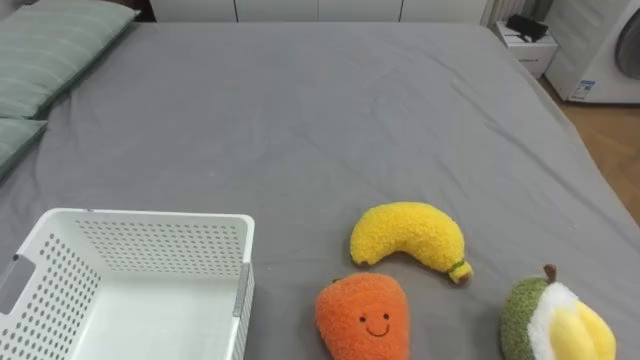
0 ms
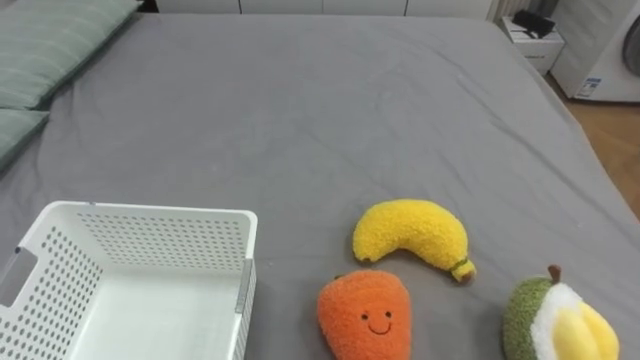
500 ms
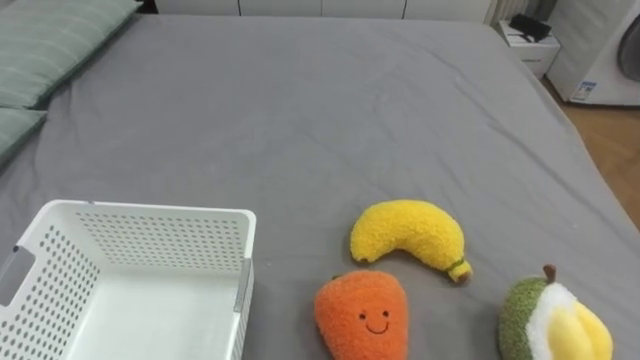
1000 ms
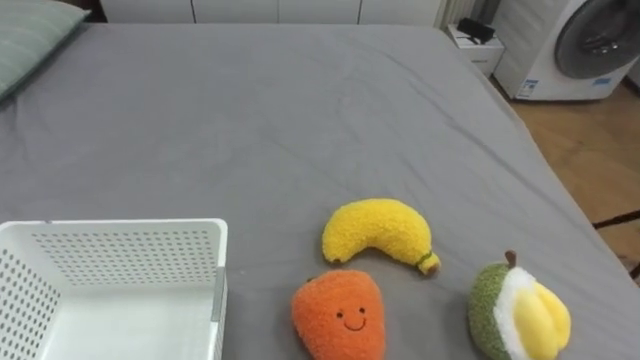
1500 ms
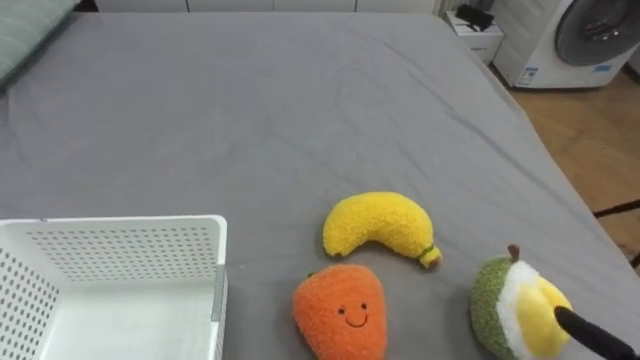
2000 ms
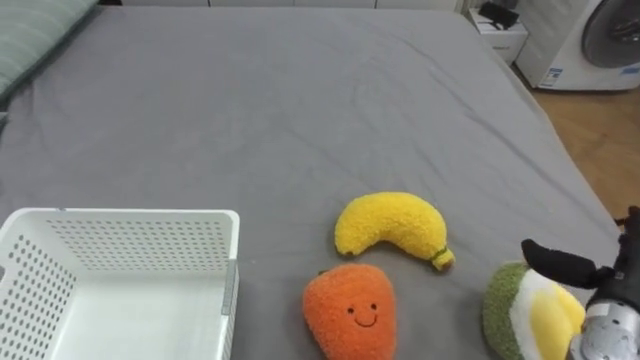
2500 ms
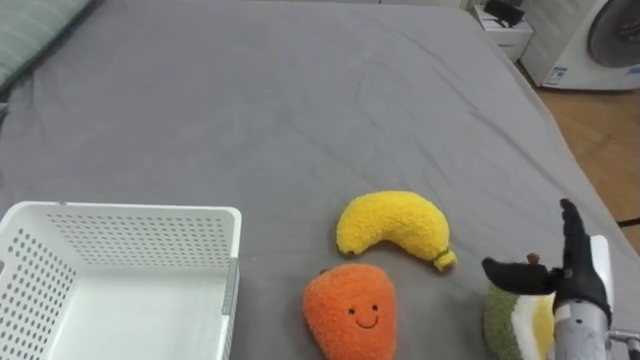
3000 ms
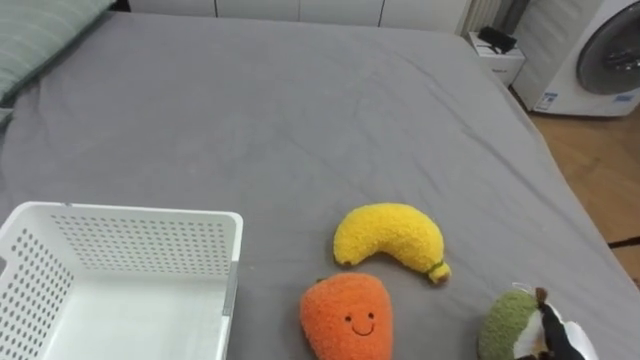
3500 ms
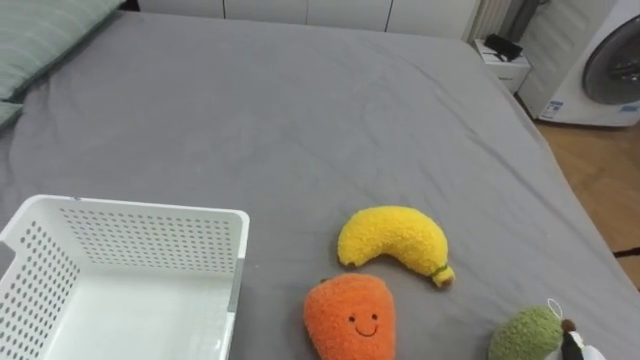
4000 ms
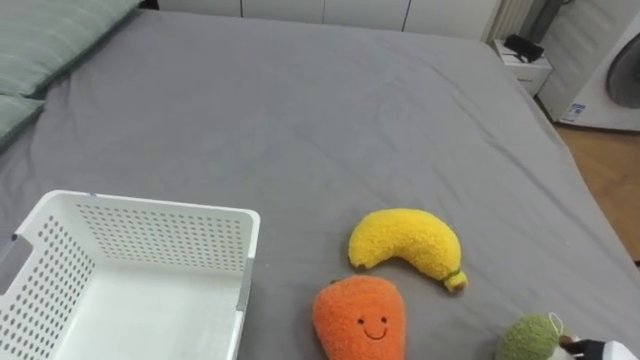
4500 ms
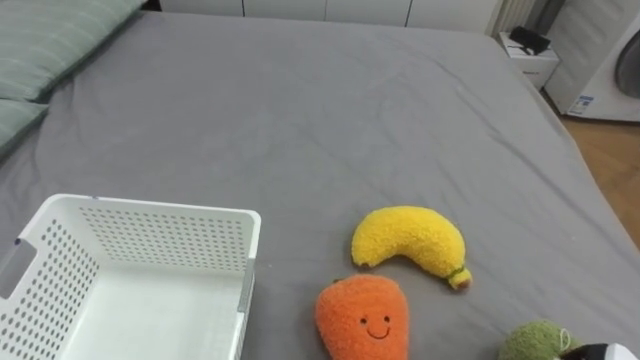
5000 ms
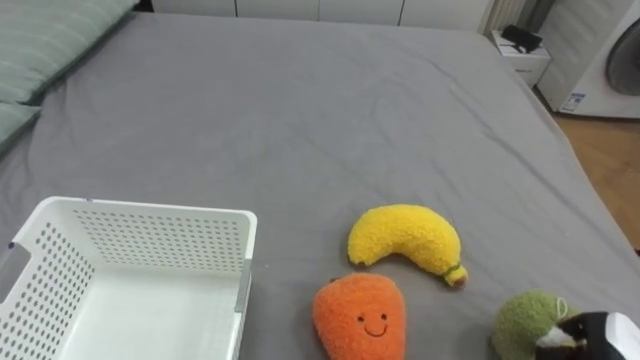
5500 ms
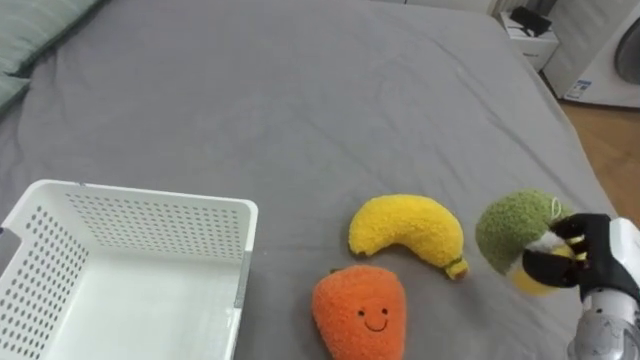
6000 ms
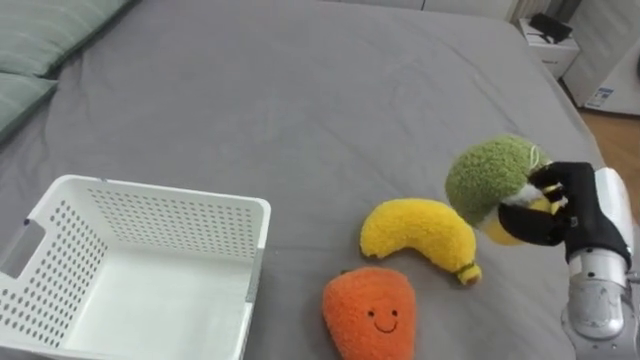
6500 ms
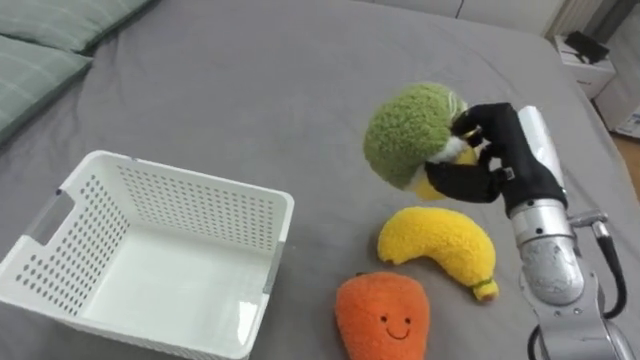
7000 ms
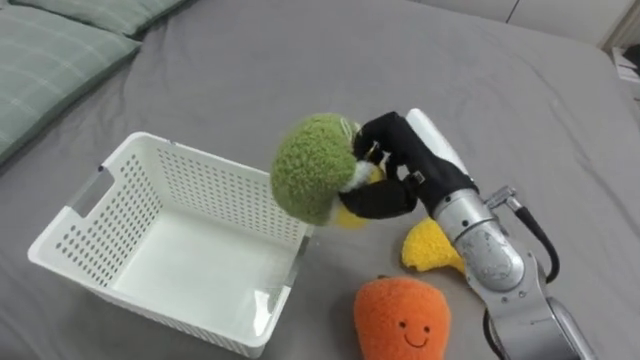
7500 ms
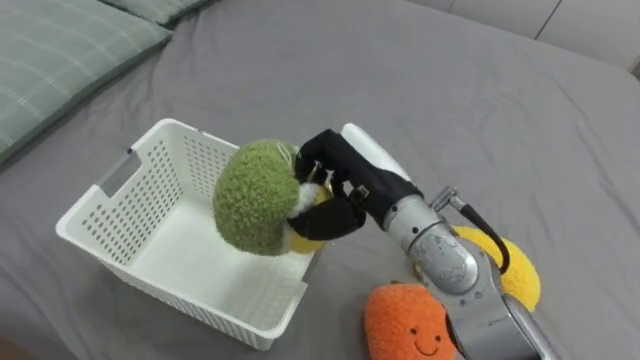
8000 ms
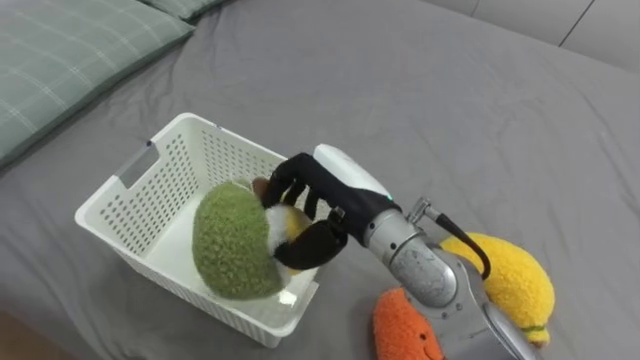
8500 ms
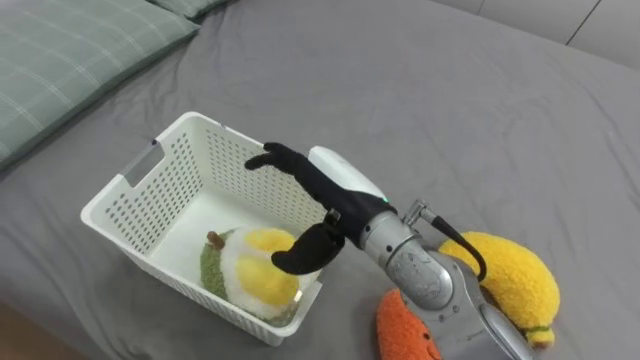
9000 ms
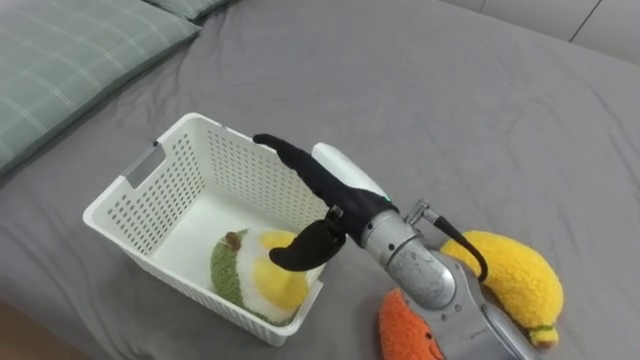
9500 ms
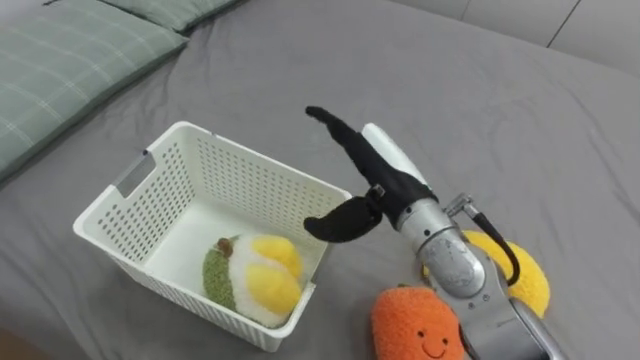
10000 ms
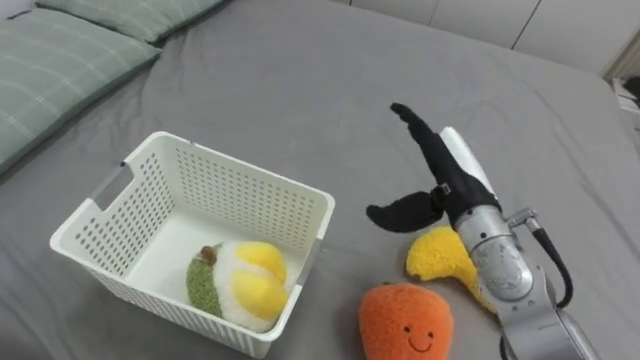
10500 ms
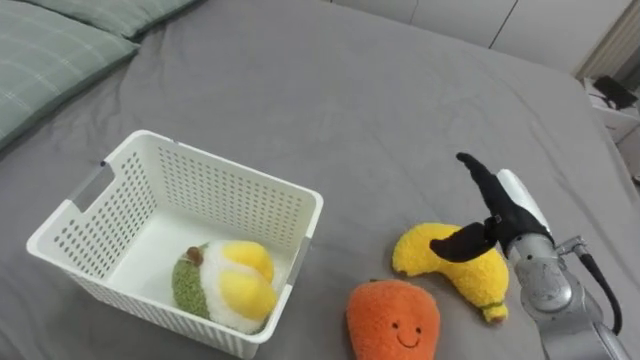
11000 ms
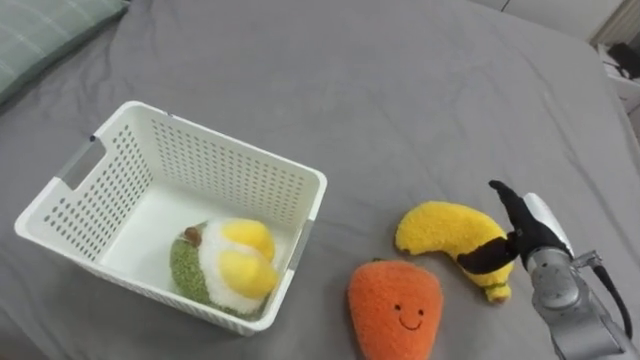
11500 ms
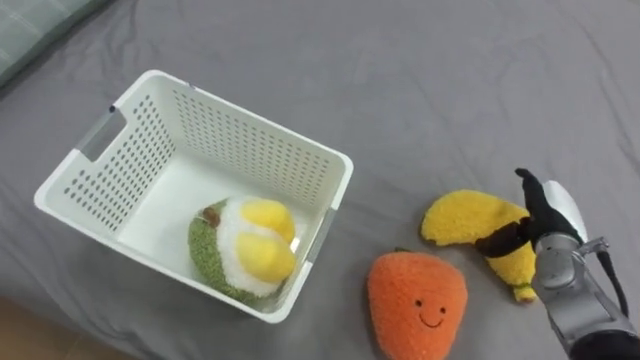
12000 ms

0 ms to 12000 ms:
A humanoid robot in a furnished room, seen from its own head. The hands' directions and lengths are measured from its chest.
Task of the whole recording: Put the toys on the bed into the basket on the left.
6000 ms to 8000 ms: The right hand is displaced to the left and upward by some 30 cm.
8000 ms to 10000 ms: The right hand opens.
10000 ms to 12000 ms: The right hand shifts approximately 25 cm to the right and downward.

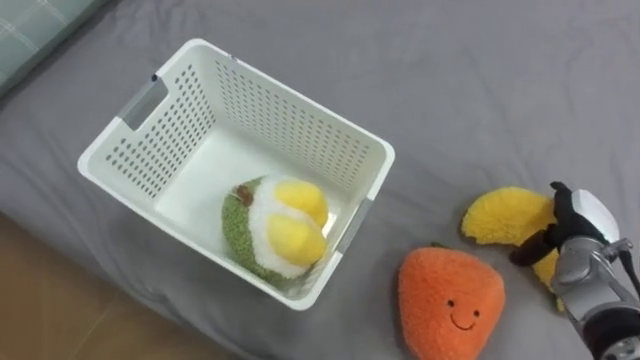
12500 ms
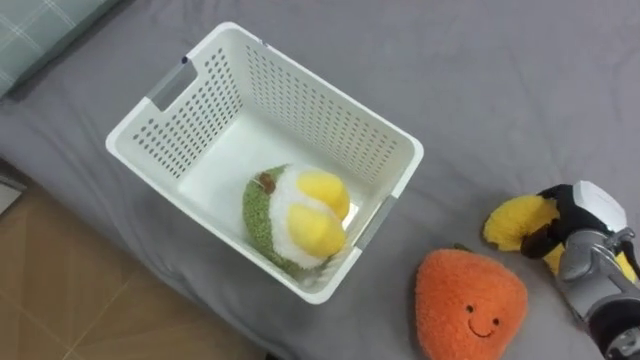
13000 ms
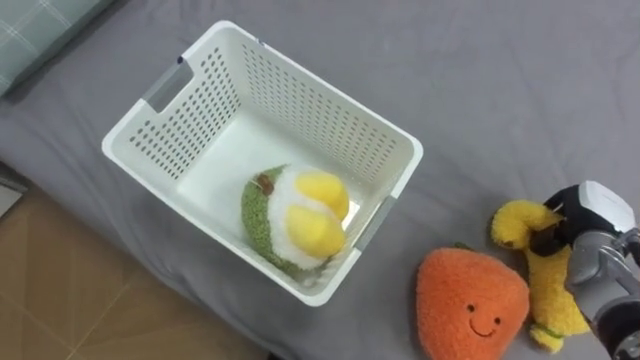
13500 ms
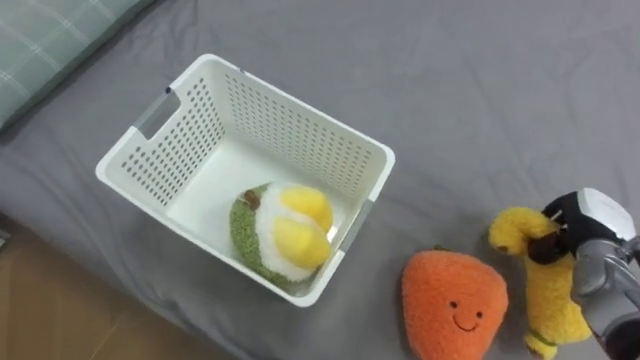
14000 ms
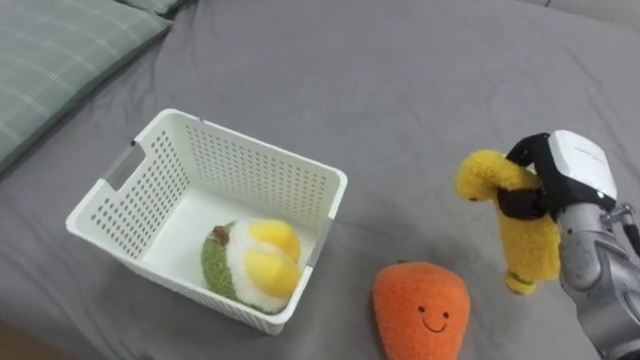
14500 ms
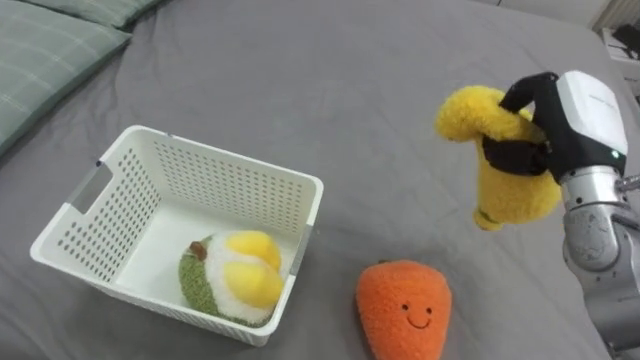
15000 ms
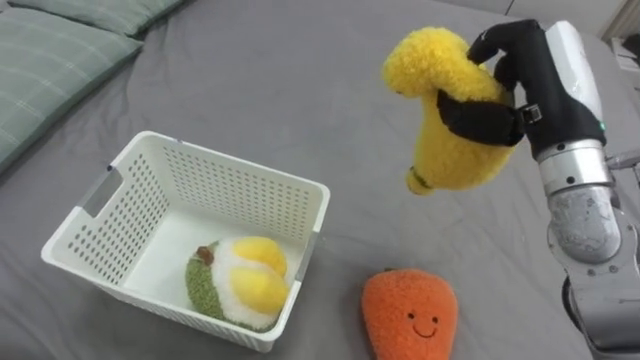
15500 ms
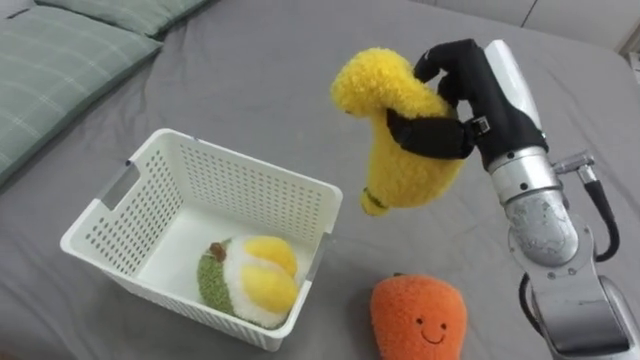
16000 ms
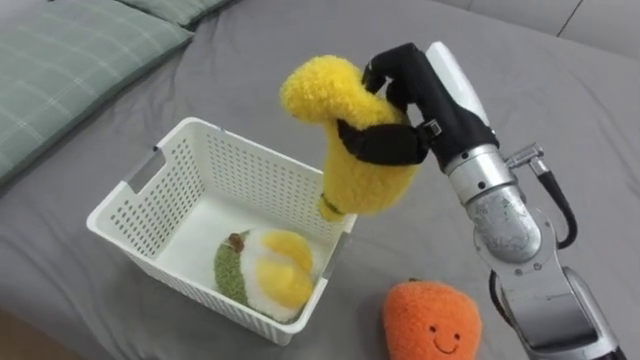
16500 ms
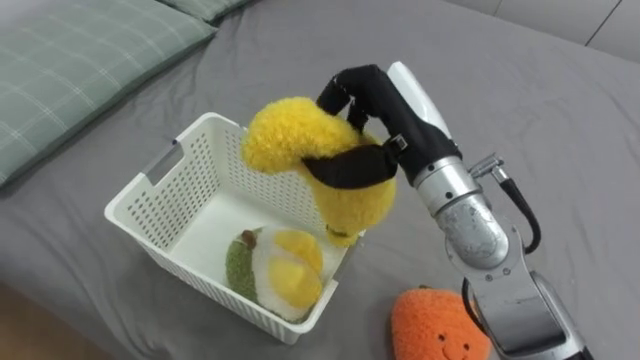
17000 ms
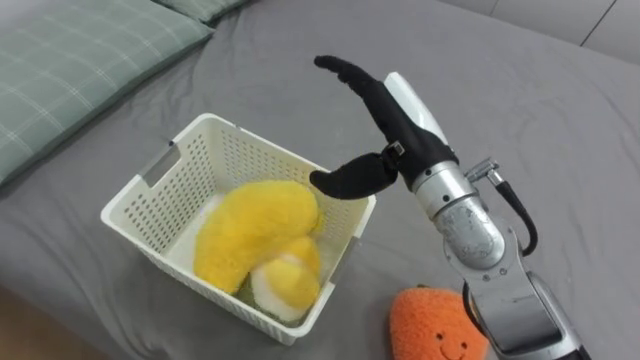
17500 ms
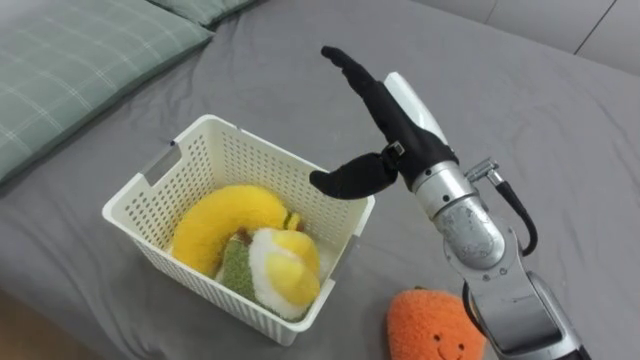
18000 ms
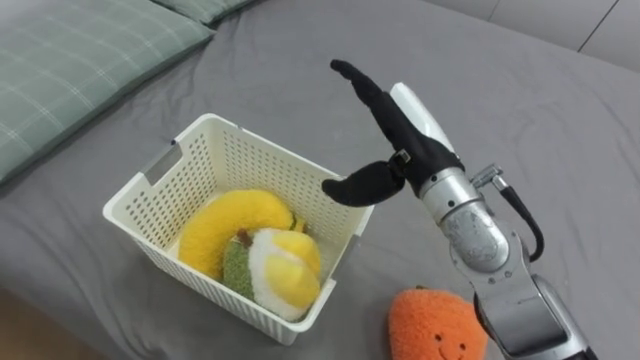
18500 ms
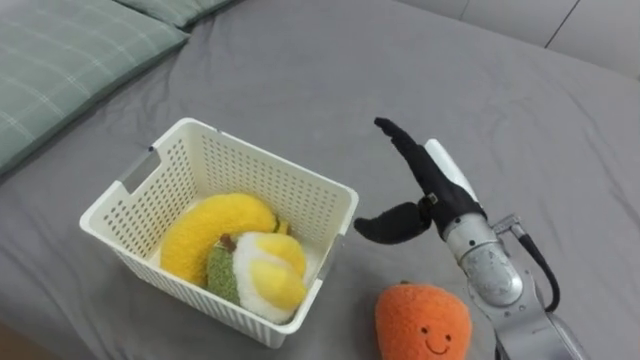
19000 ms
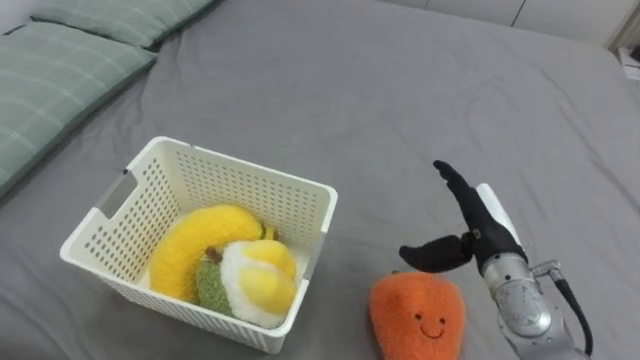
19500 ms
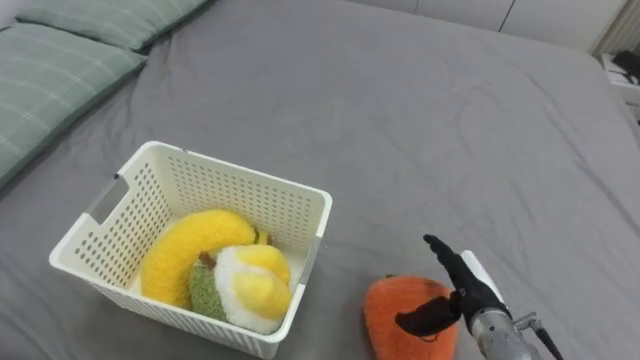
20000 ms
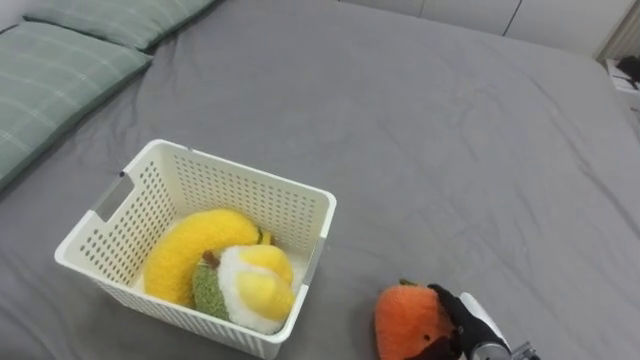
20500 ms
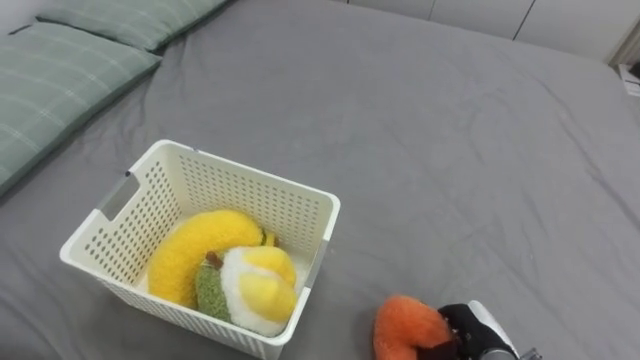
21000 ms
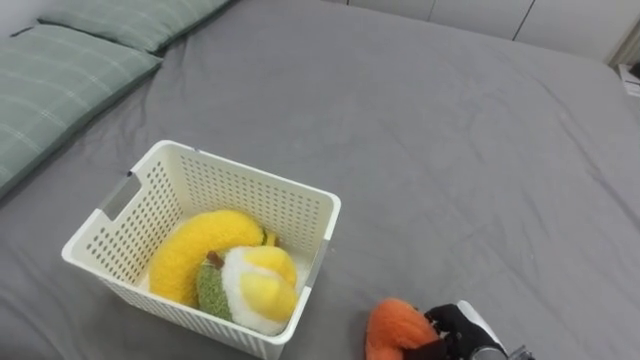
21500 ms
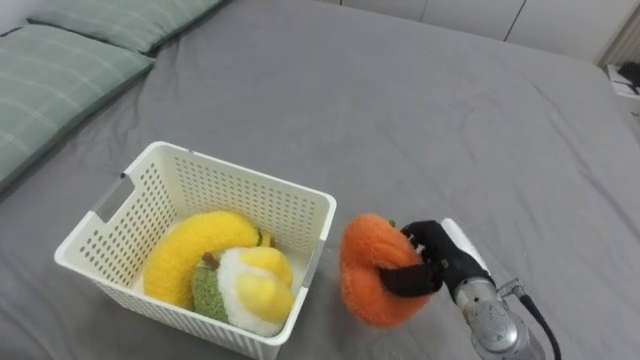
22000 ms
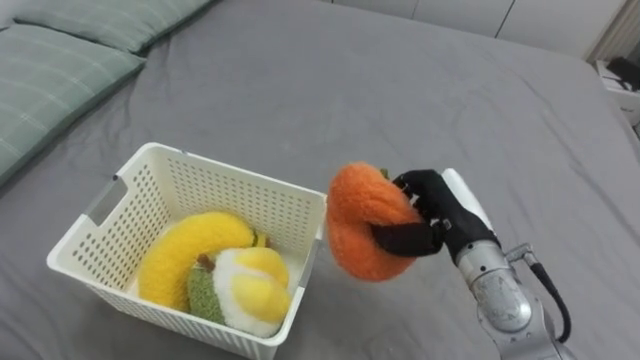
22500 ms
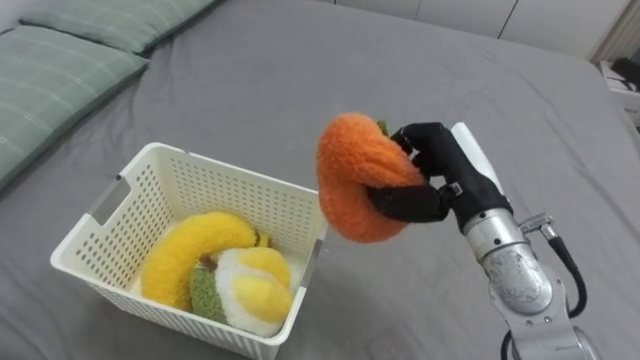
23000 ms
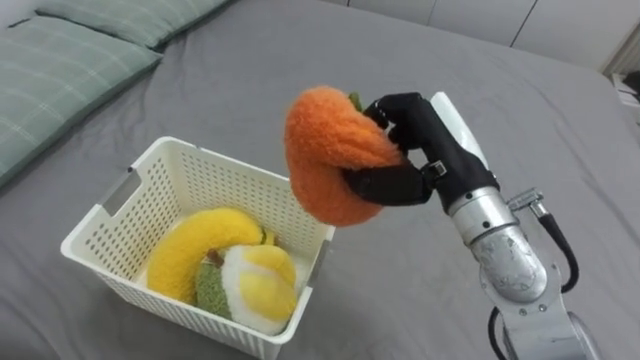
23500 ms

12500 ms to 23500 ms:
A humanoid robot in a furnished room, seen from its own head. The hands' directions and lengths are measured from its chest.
Task of the whole recording: Put the toys on the bed into the basket on the left.
12500 ms to 14500 ms: The right hand is displaced upward by roughly 10 cm, and closes up.
14500 ms to 16000 ms: The right hand goes approximately 20 cm upward and to the left.
16000 ms to 18000 ms: The right hand shifts approximately 10 cm to the left, and opens its fingers.
18000 ms to 20000 ms: The right hand is displaced downward and to the right by about 25 cm.
20000 ms to 21500 ms: The right hand is displaced downward by roughly 5 cm, and closes up.
21500 ms to 23500 ms: The right hand is displaced upward by about 30 cm.
